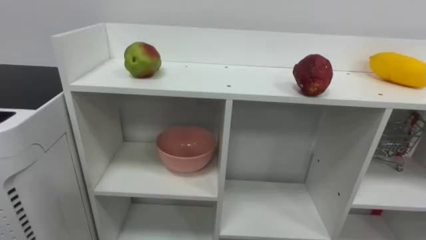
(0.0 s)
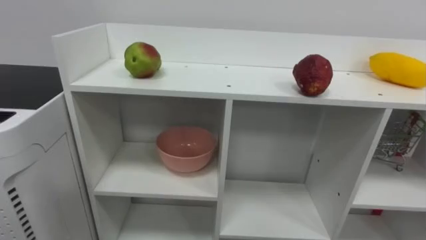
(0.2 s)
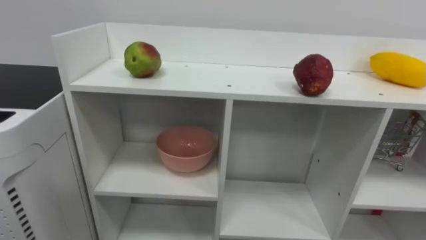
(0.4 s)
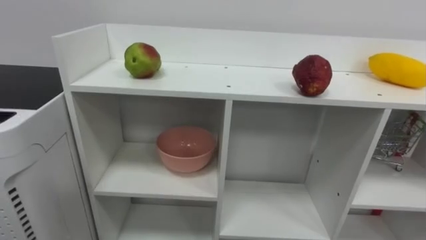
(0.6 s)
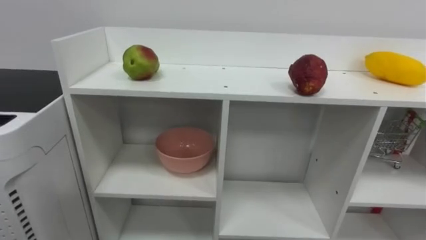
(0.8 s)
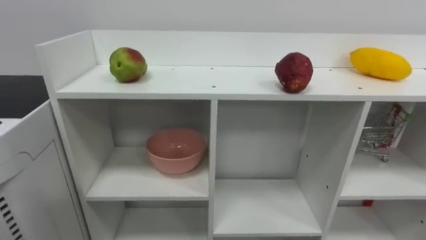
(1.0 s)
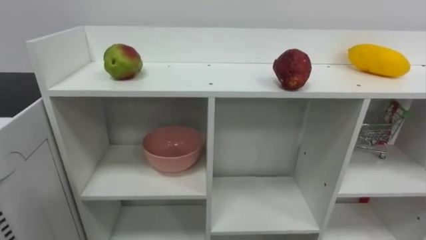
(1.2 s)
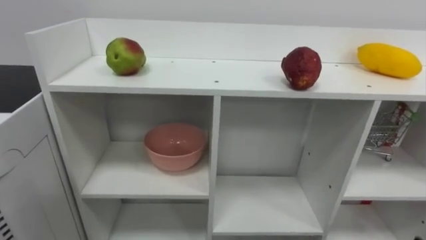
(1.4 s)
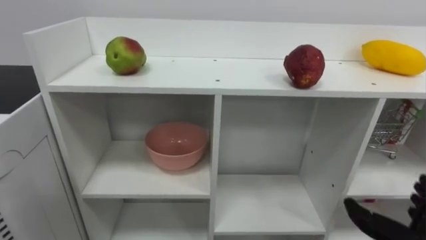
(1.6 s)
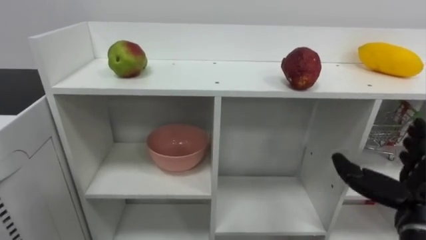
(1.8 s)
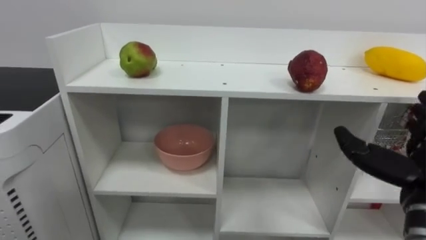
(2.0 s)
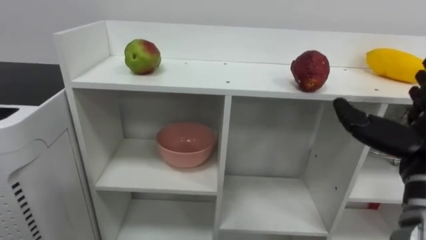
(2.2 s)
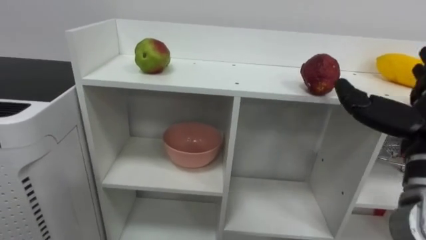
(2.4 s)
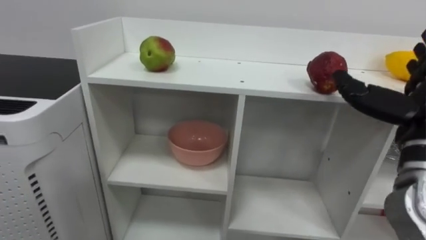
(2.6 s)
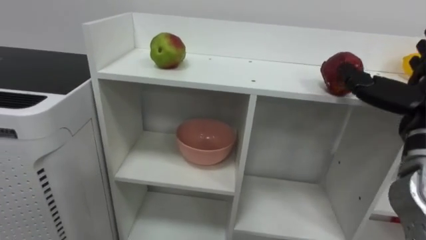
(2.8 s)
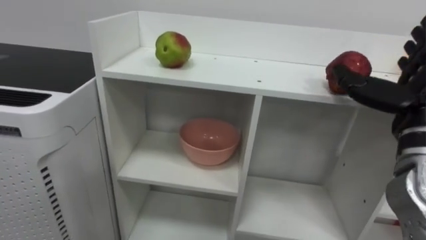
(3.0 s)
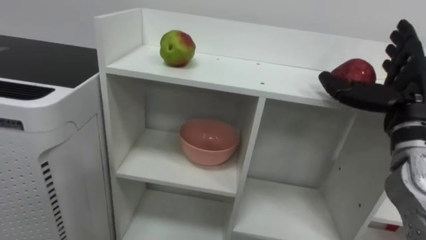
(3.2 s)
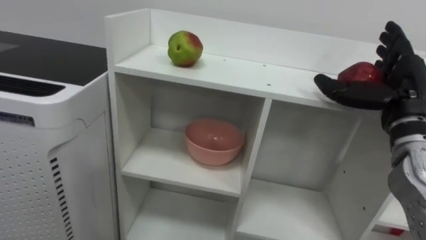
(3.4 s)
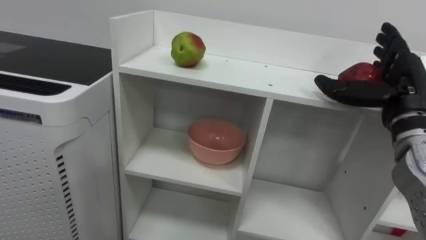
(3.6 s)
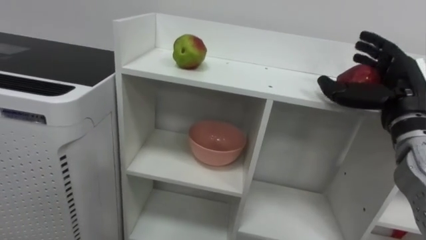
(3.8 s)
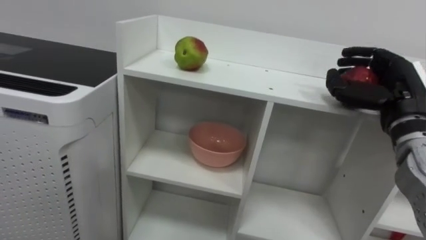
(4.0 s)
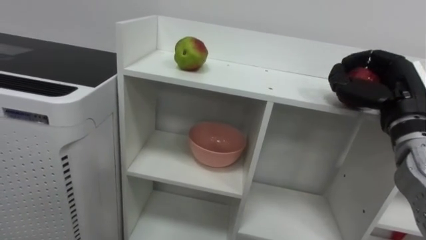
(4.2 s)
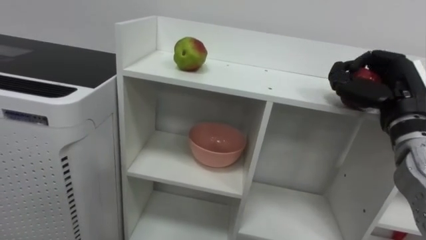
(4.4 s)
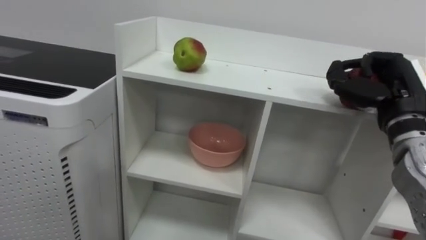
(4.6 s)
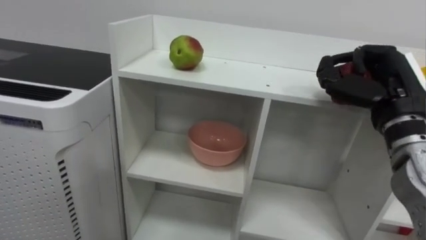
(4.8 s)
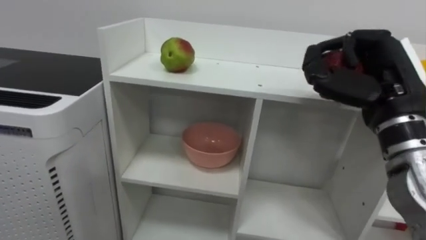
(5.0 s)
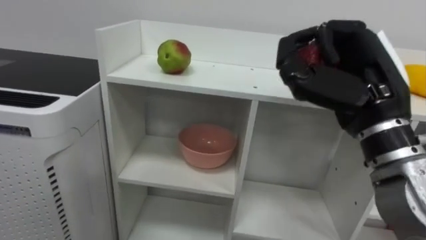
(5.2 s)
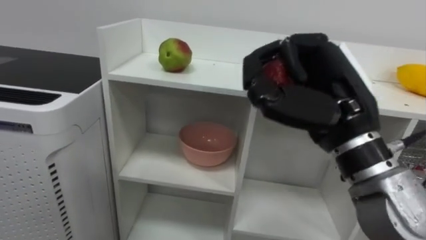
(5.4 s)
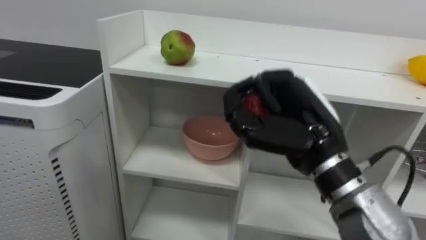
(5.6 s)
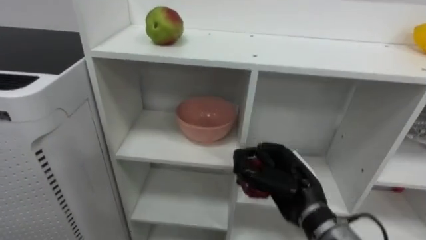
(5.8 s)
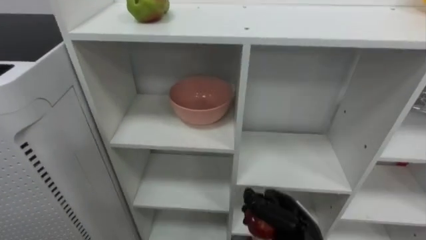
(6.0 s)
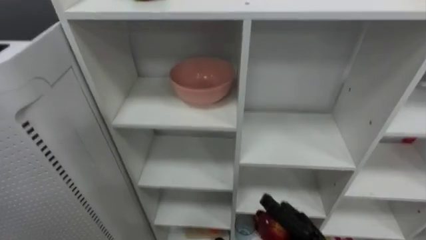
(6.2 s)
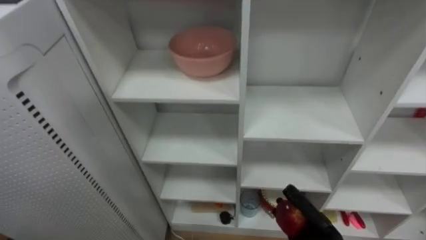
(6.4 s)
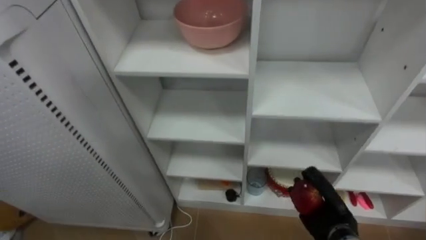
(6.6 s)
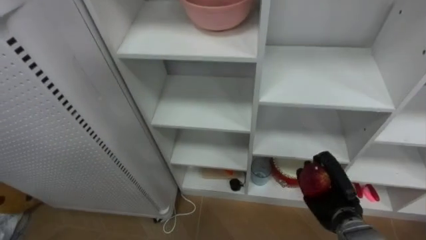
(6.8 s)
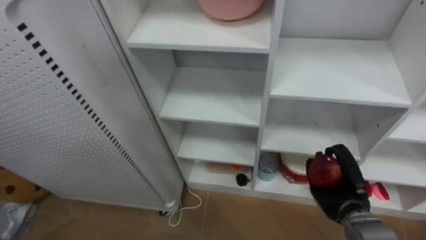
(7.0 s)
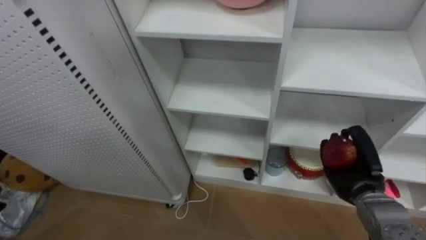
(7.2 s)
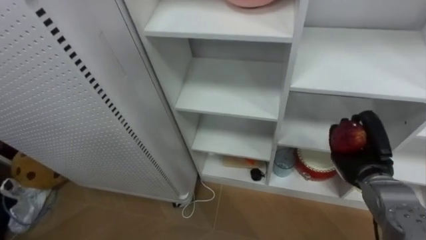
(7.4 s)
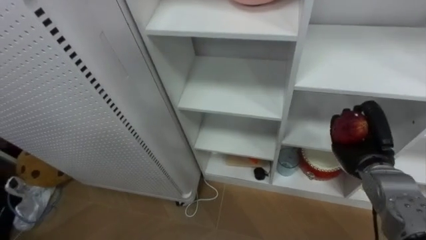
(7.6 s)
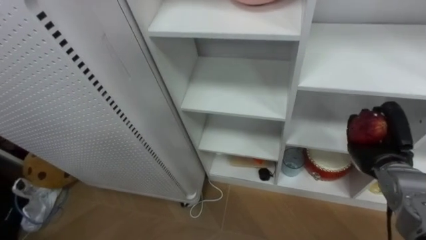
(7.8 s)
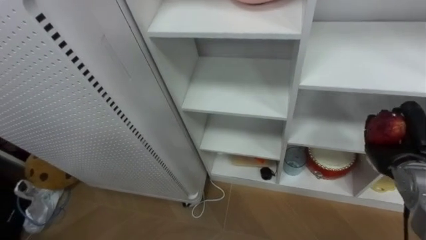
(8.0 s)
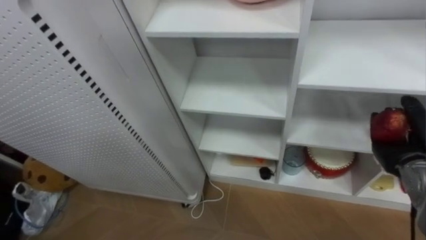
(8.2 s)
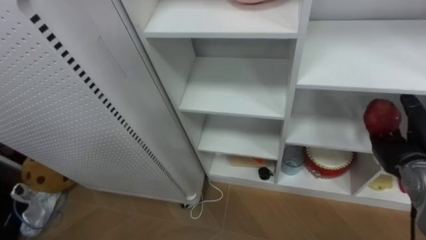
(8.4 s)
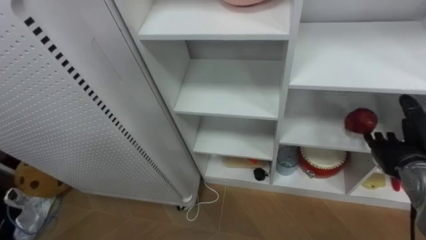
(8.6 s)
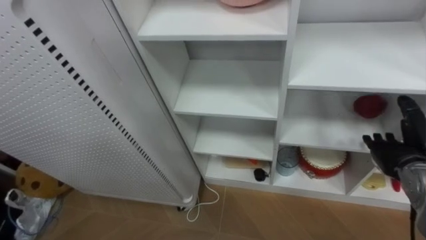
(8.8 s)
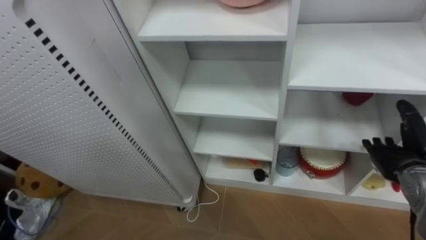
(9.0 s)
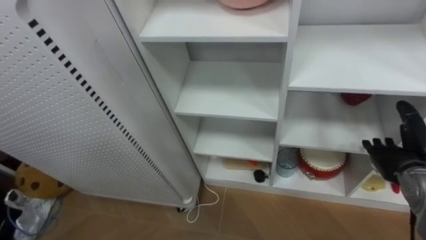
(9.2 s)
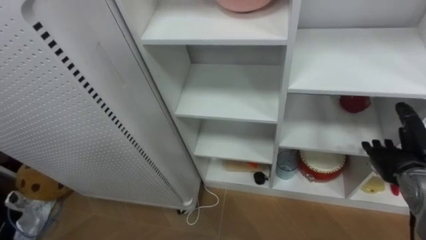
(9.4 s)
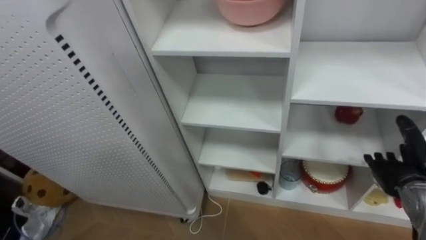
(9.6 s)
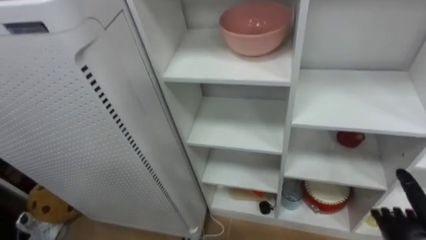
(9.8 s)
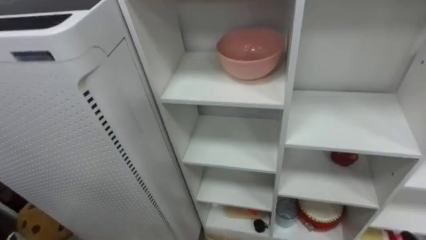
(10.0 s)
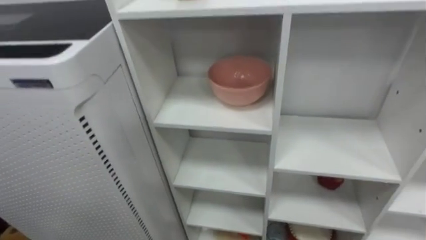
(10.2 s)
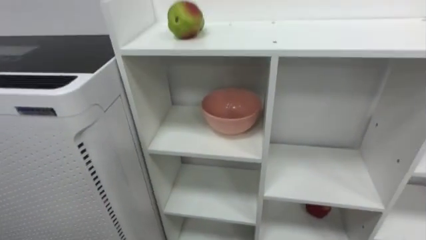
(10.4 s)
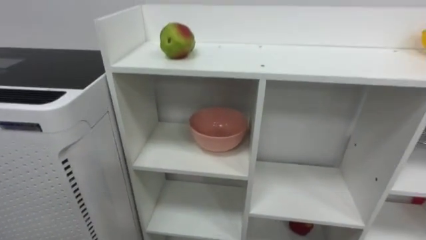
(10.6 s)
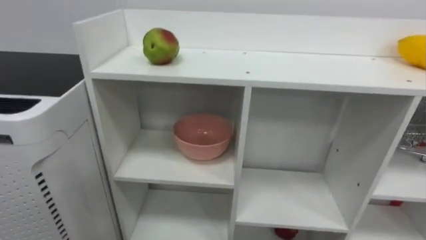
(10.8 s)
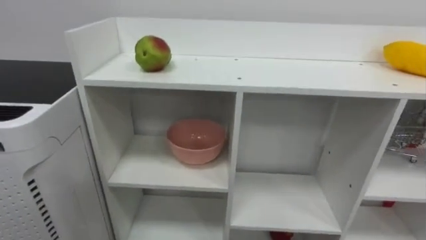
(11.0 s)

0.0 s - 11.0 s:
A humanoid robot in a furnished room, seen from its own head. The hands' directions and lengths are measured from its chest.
Task of the whole recording: Put the apple in the cell in the second column from the left and the second row from the top.
3.2 s - 4.8 s: The right hand closes its fingers.
4.8 s - 6.2 s: The right hand heads downward, covering about 30 cm.
6.2 s - 7.8 s: The right hand heads to the right, upward and forward, covering some 20 cm.
7.8 s - 9.4 s: The right hand opens.

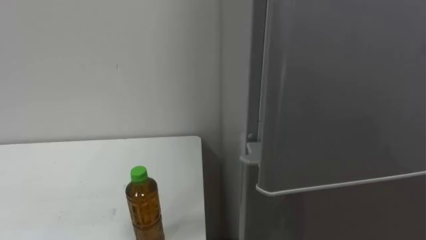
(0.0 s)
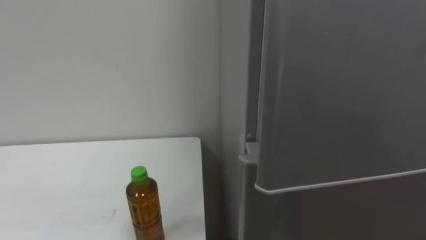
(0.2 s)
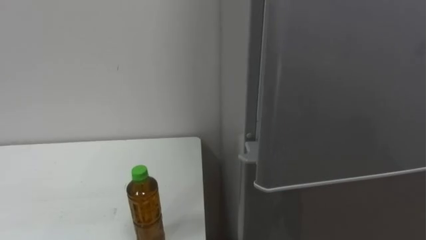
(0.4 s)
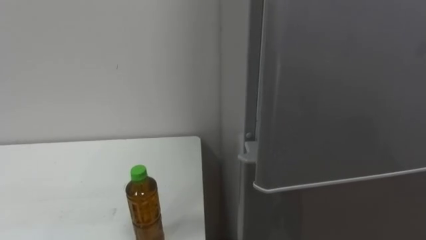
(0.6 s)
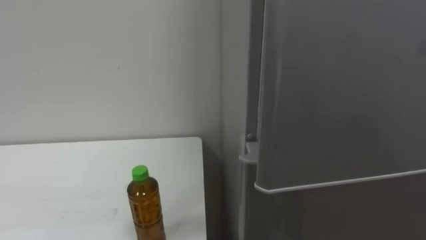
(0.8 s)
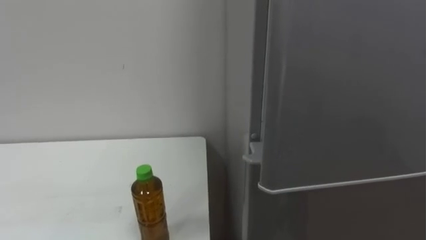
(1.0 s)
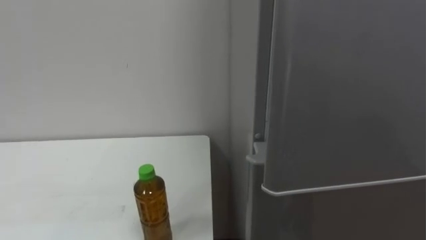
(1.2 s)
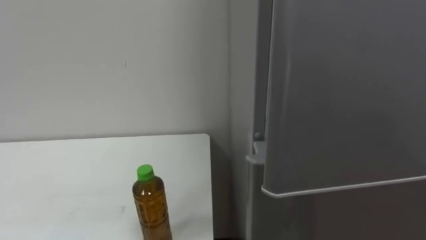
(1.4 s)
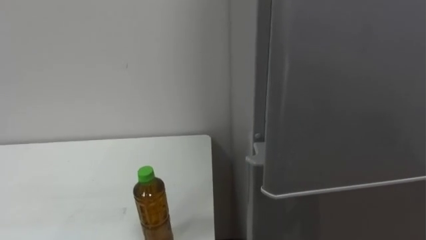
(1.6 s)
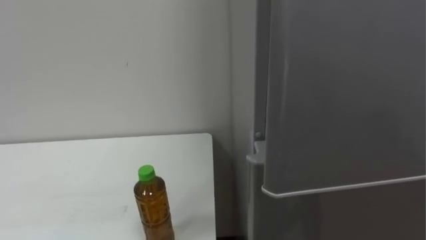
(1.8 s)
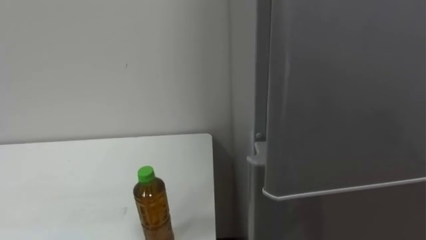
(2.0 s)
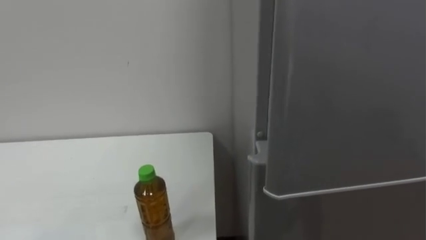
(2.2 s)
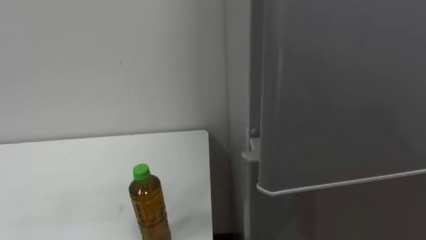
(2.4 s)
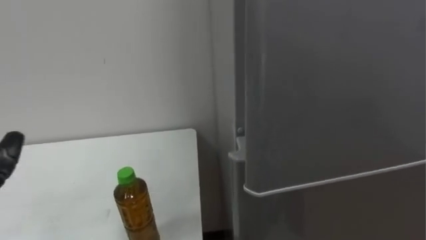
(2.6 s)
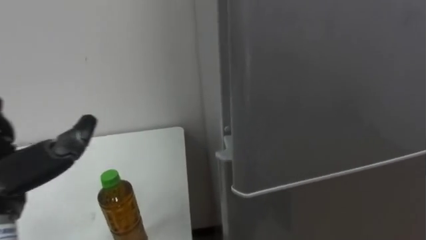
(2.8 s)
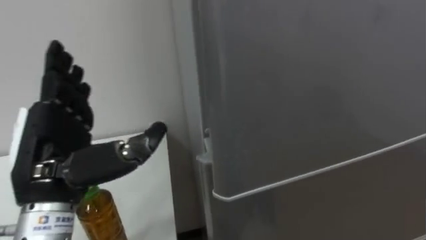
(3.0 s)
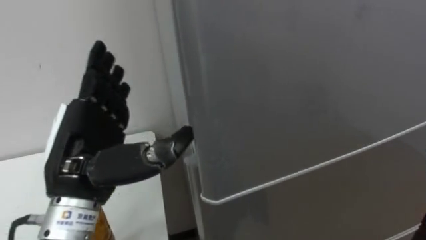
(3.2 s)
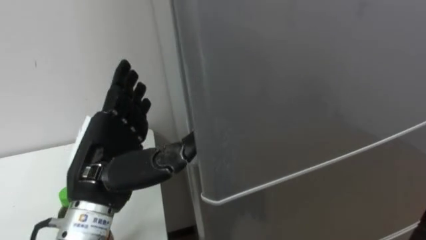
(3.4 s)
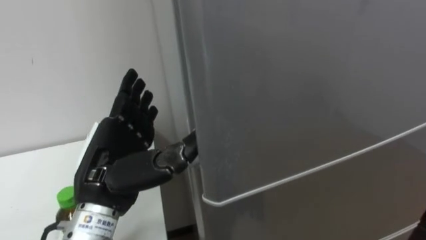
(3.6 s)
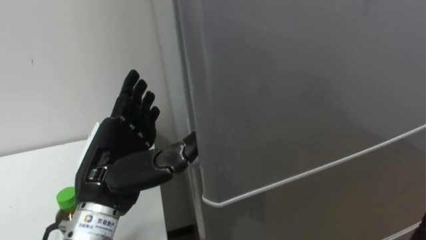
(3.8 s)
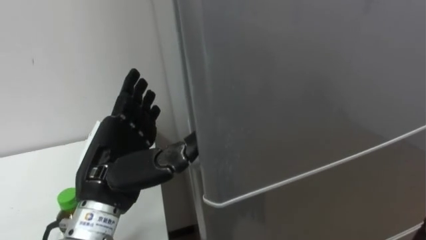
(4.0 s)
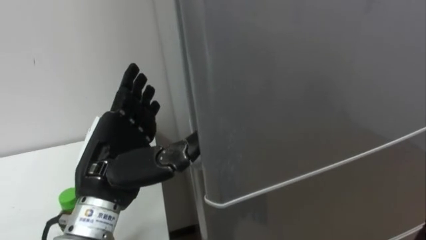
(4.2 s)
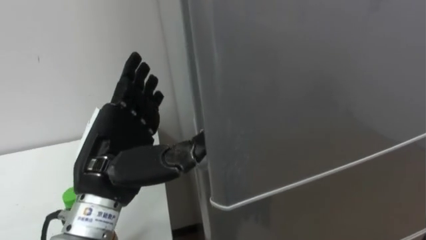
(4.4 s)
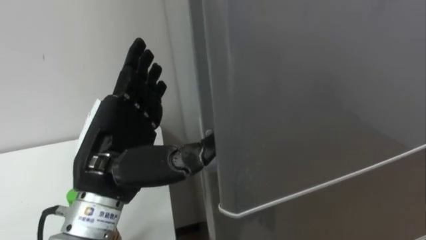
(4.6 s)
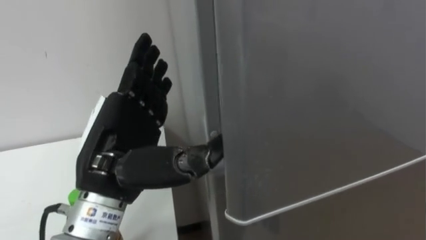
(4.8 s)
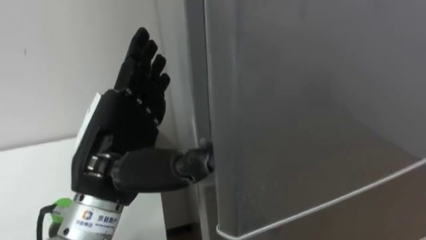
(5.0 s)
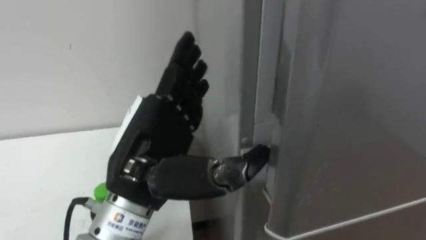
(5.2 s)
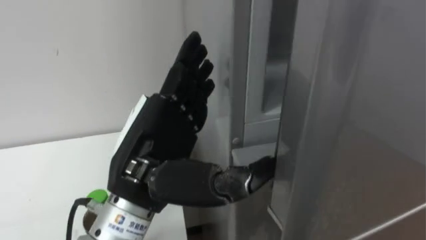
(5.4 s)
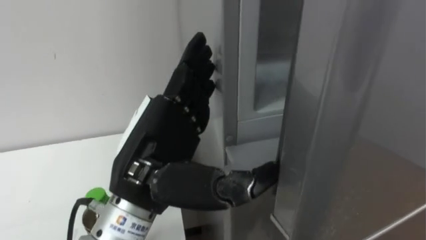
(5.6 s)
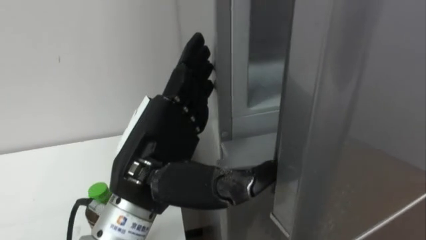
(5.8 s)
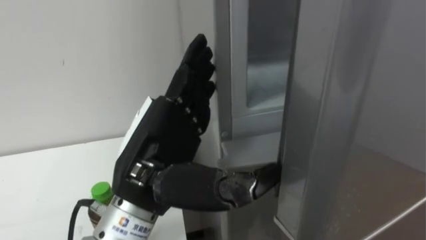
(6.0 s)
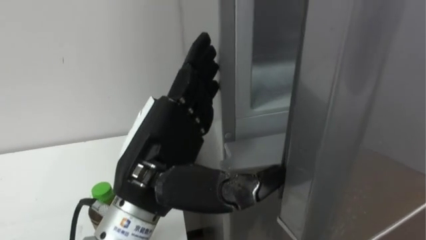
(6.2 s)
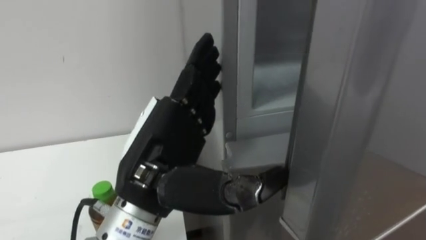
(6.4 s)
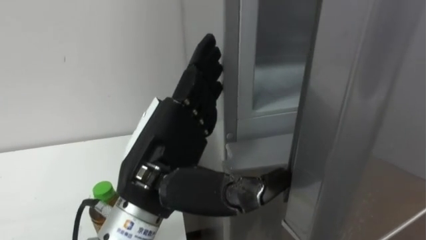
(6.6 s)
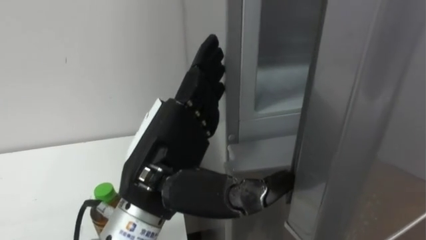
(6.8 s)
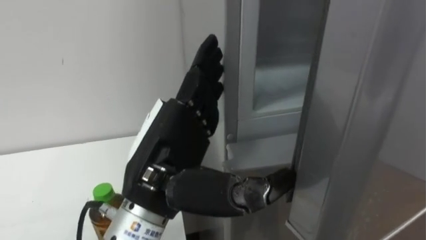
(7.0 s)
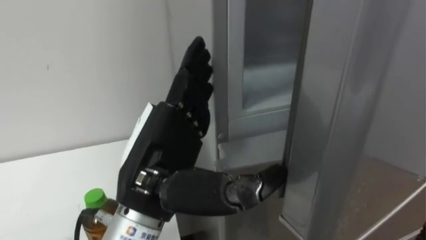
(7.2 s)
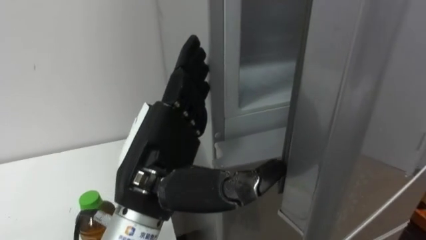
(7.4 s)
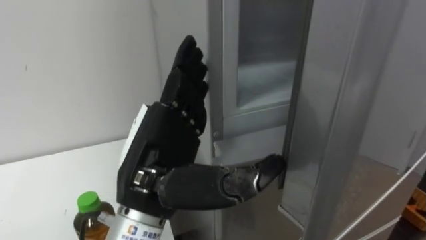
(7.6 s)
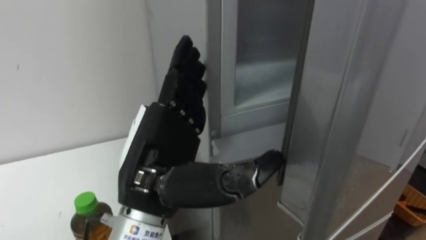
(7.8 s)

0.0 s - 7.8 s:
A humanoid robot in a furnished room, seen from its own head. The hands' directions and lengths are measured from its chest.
Task of the whole recording: Open the upper refrigerator door, put the drink from the table into the refrigerator, and then close the refrigerator door.
4.6 s - 6.2 s: The left hand moves to the right, roughly 5 cm.
